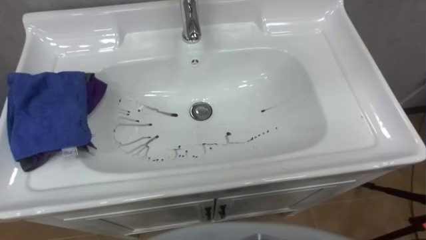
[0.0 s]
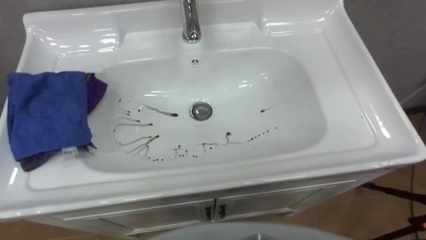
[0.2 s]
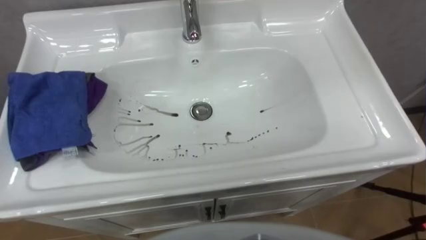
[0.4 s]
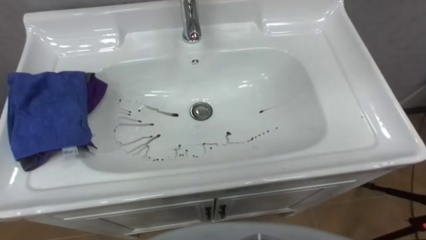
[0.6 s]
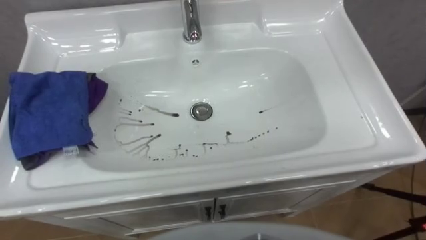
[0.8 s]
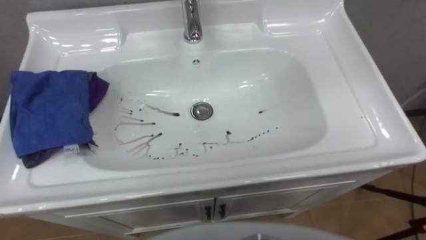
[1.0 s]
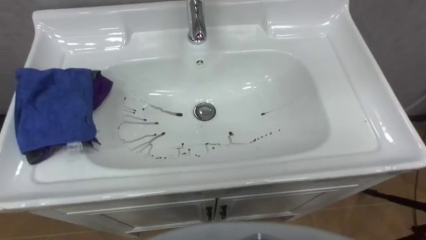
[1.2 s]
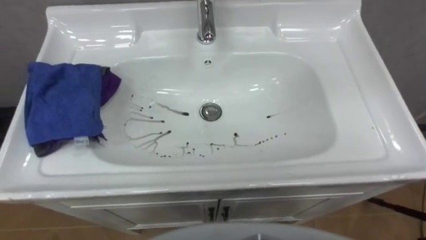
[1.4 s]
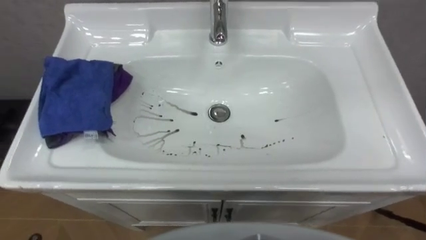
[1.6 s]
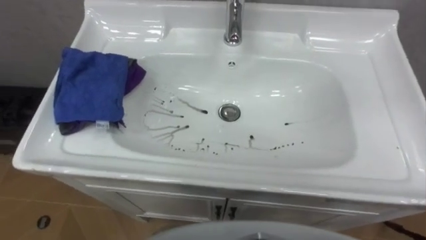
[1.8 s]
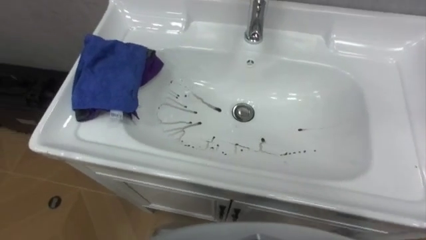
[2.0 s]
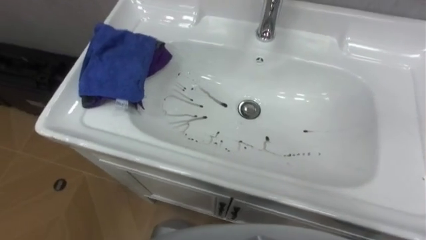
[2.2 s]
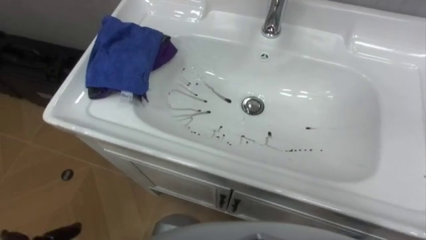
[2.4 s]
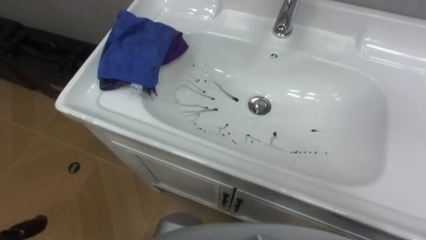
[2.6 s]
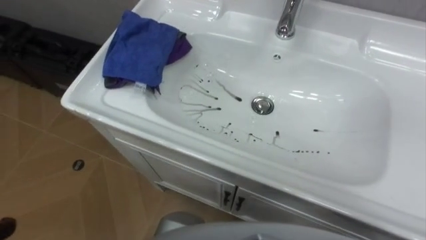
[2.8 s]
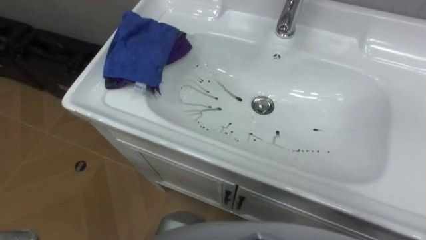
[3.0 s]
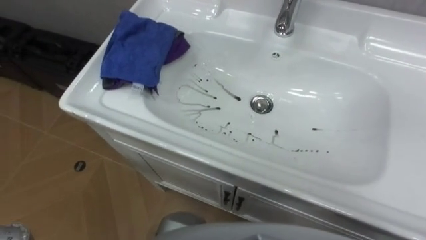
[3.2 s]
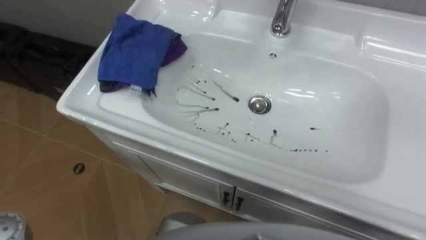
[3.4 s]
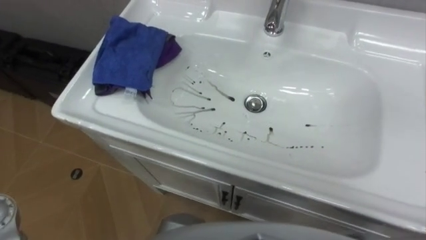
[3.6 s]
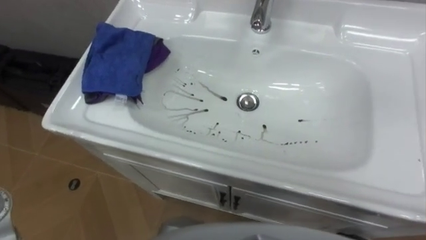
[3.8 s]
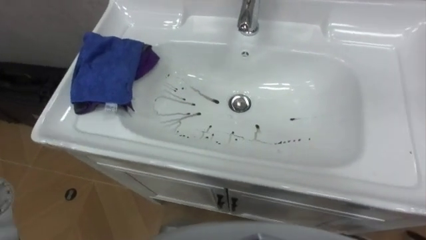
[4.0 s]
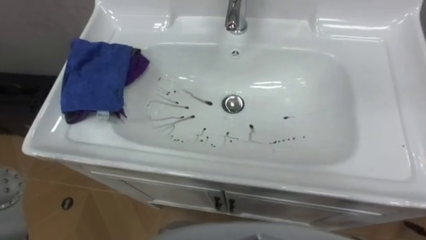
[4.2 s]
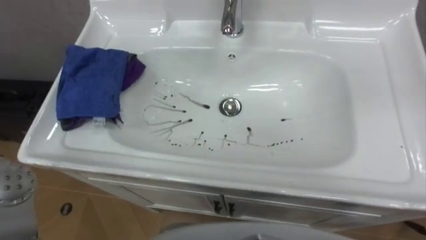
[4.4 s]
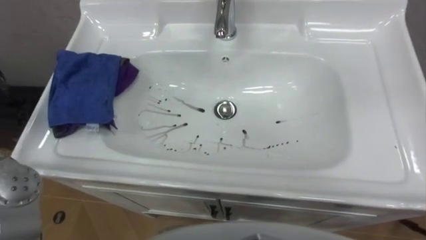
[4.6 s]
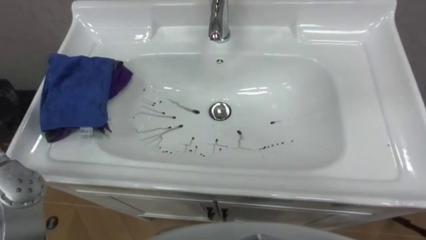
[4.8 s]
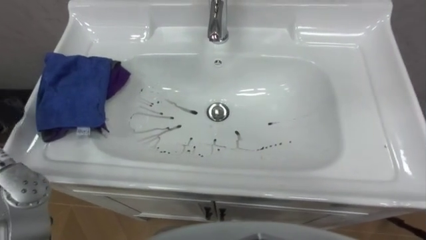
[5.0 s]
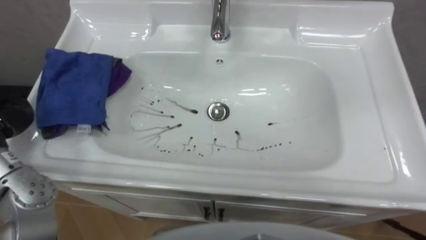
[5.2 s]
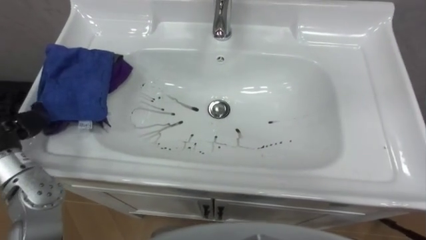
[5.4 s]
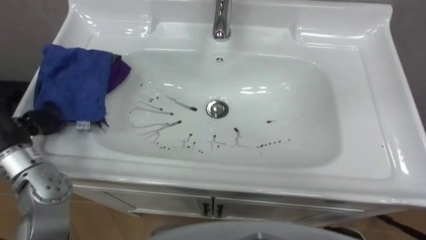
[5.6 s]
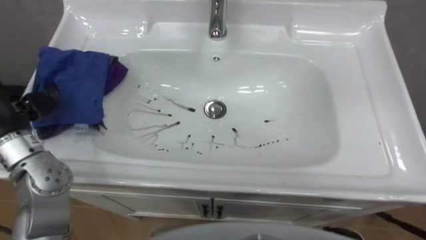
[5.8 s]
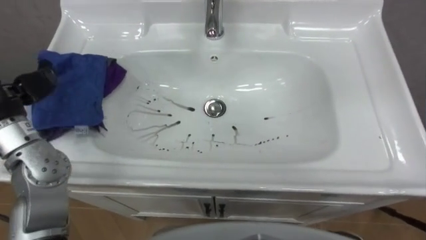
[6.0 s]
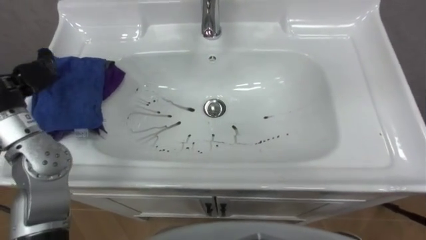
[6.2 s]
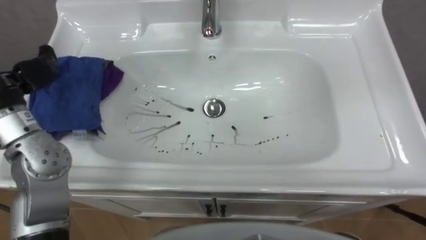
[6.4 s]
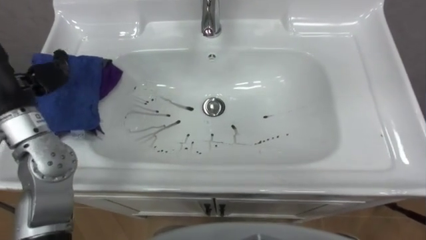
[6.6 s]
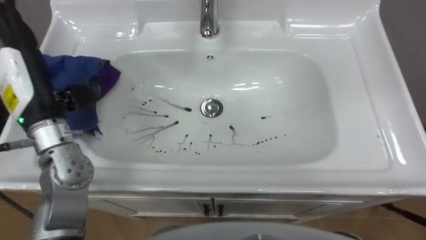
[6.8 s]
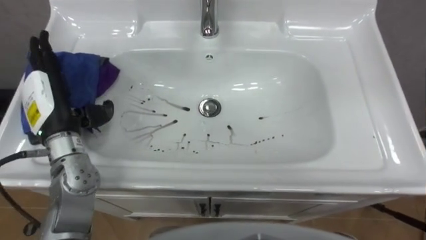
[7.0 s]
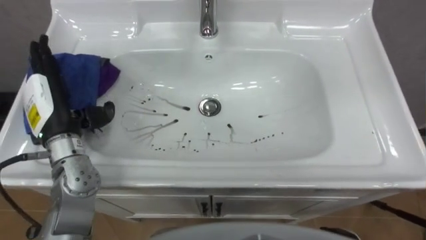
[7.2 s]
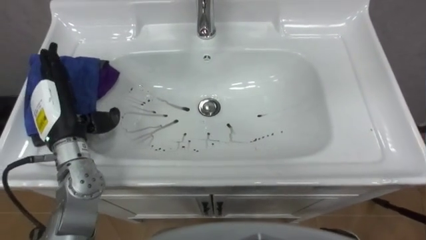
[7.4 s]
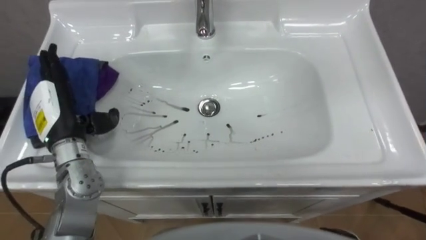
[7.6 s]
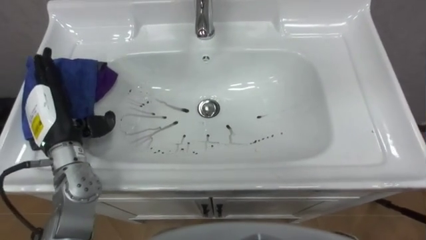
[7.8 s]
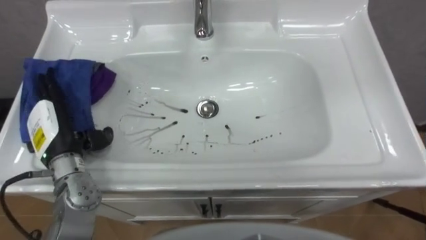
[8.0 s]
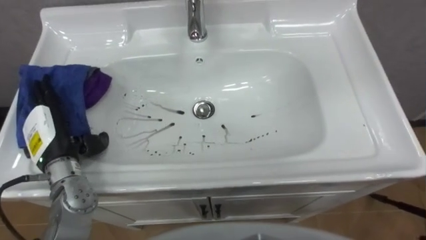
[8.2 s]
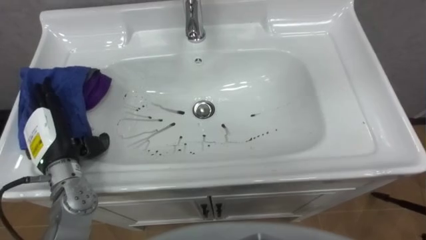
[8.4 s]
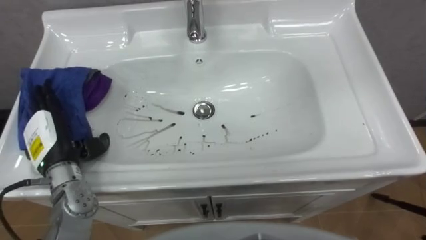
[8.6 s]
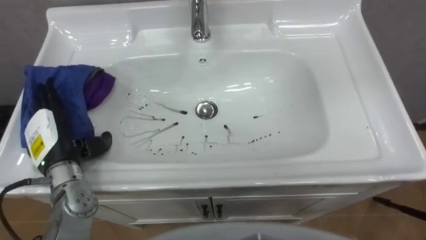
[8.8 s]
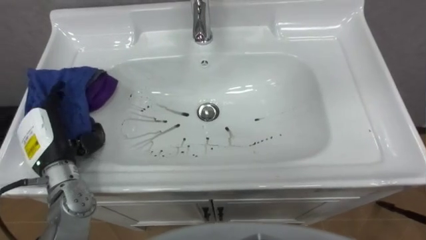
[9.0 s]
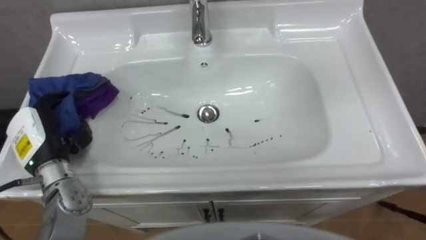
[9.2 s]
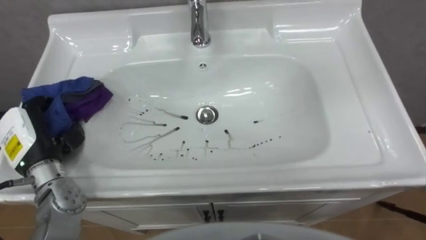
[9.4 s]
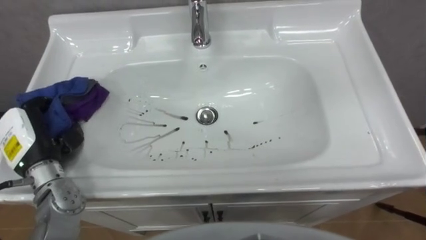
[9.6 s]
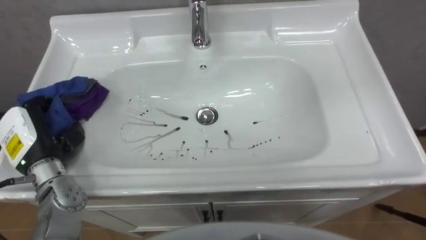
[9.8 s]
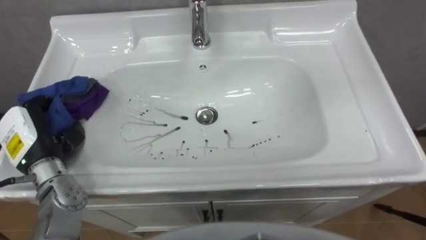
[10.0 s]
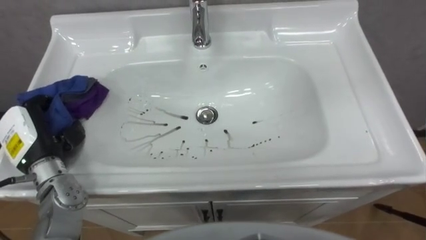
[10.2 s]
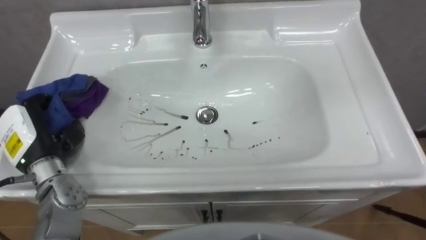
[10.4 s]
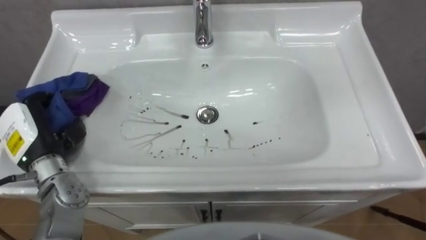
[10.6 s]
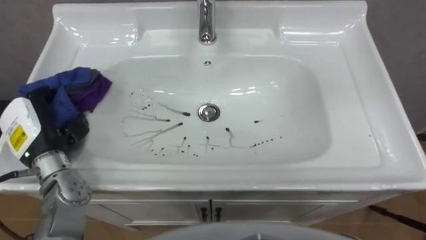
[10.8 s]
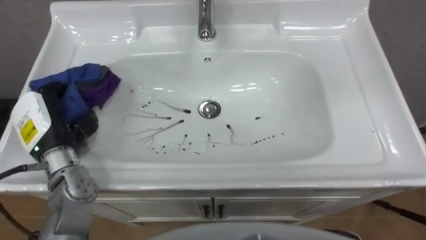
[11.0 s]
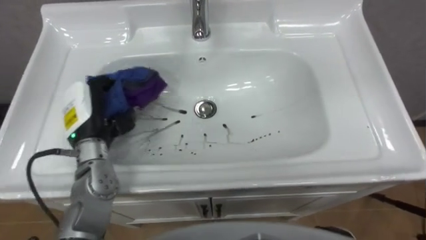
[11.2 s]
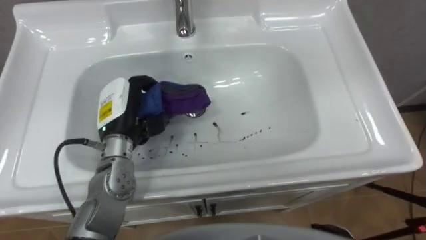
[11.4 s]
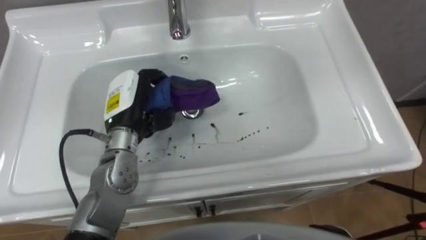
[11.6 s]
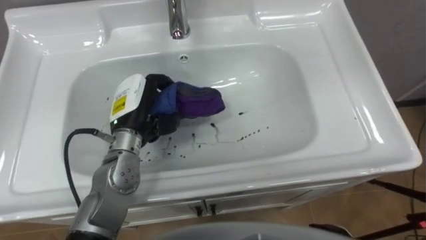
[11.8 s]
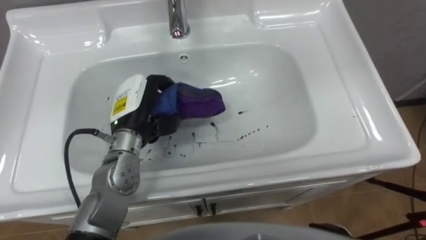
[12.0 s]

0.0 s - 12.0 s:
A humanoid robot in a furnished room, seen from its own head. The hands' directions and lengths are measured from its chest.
Task of the whole recording: Use the cloth on the right to wipe away the black stain in the sink.
7.6 s - 9.0 s: The left hand changes place by roughly 5 cm.
9.0 s - 10.4 s: The left hand closes up.
10.4 s - 12.0 s: The left hand moves to the right, roughly 15 cm.

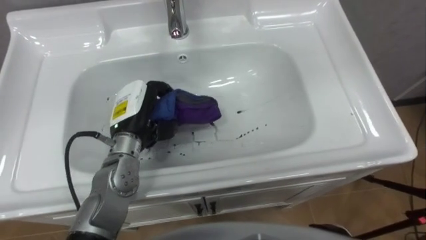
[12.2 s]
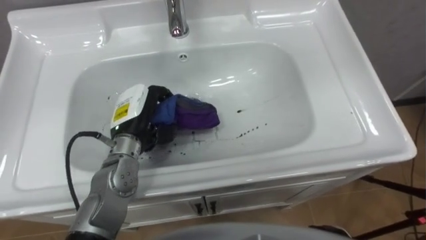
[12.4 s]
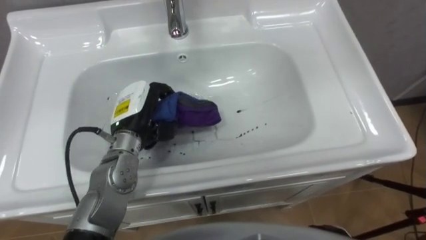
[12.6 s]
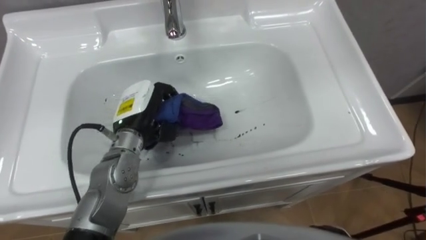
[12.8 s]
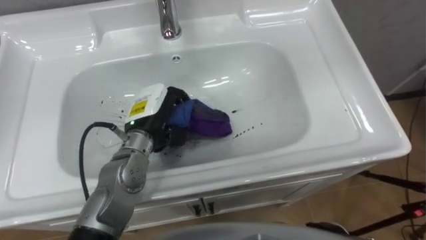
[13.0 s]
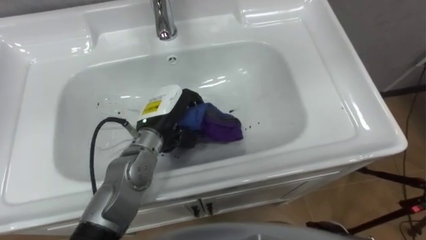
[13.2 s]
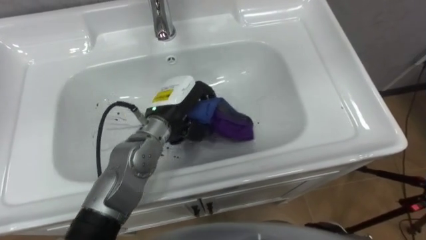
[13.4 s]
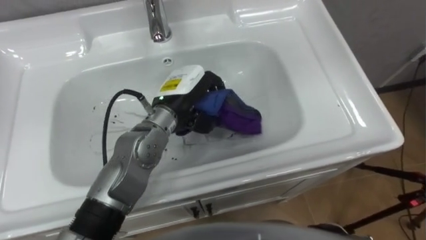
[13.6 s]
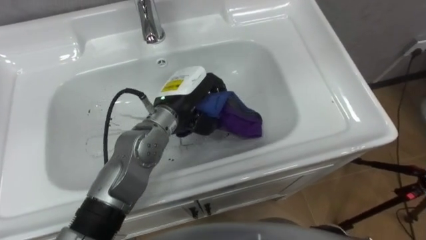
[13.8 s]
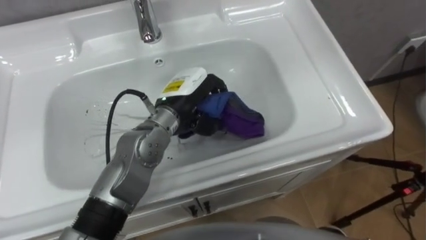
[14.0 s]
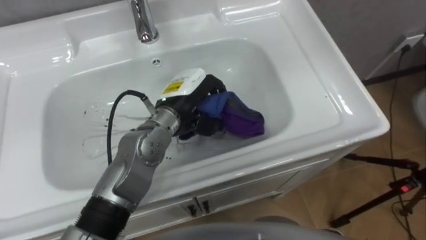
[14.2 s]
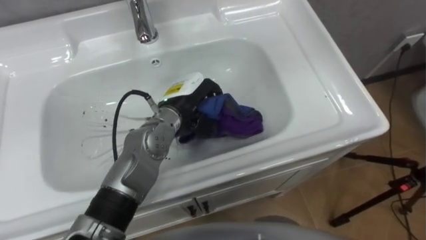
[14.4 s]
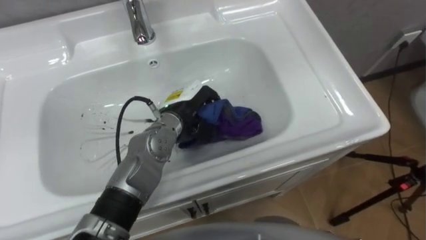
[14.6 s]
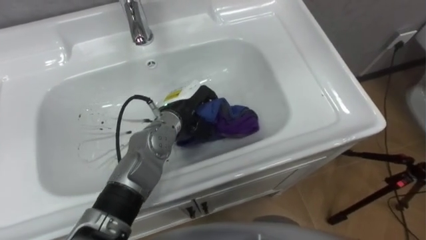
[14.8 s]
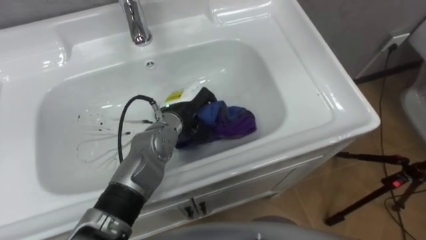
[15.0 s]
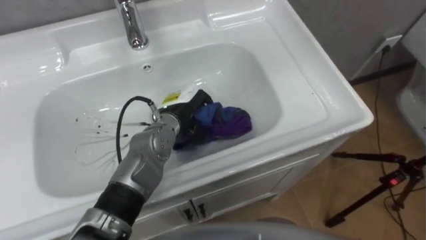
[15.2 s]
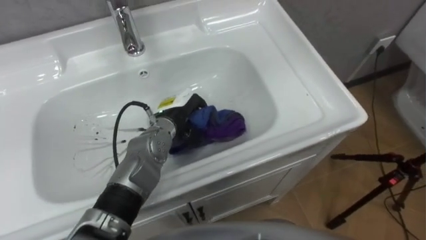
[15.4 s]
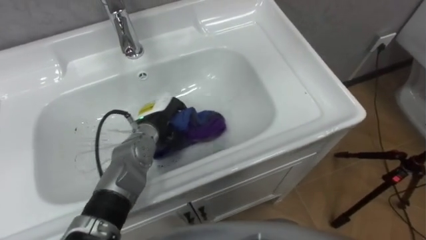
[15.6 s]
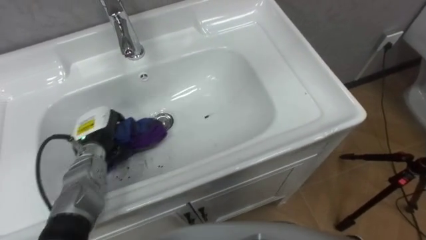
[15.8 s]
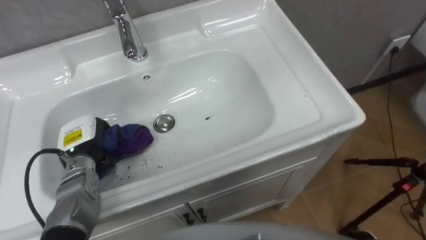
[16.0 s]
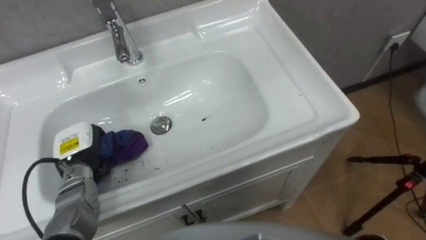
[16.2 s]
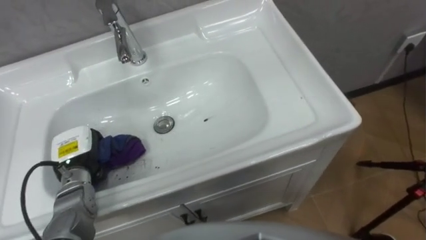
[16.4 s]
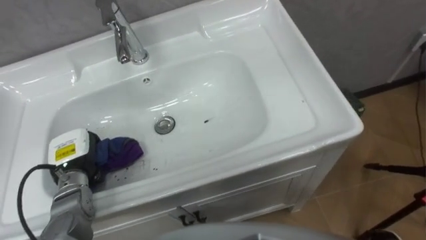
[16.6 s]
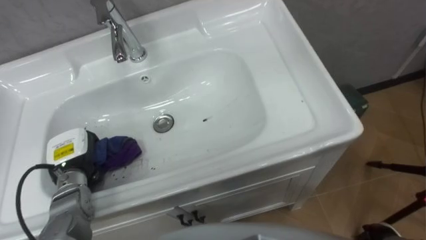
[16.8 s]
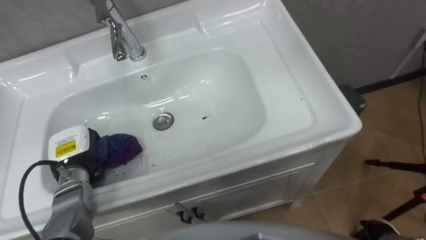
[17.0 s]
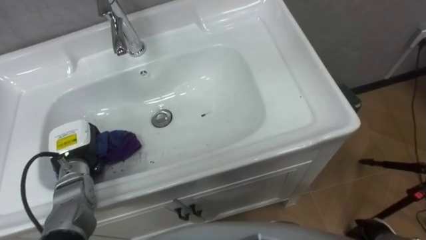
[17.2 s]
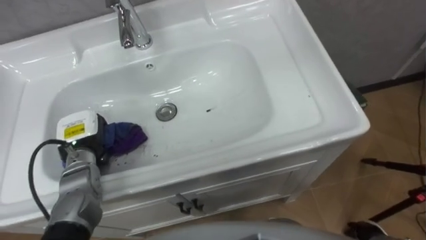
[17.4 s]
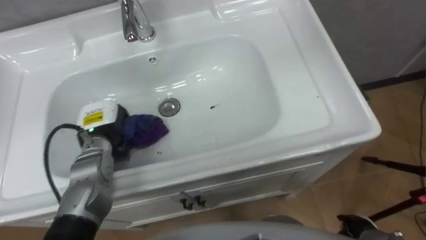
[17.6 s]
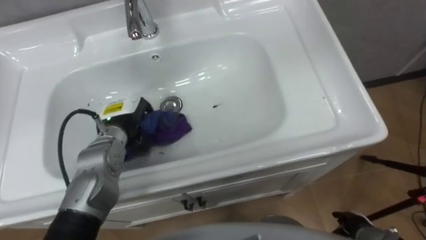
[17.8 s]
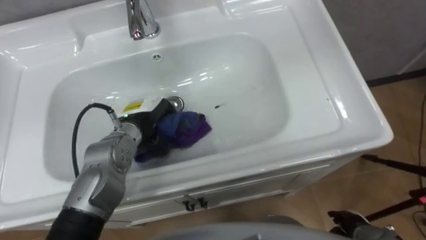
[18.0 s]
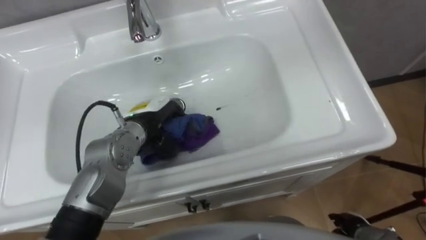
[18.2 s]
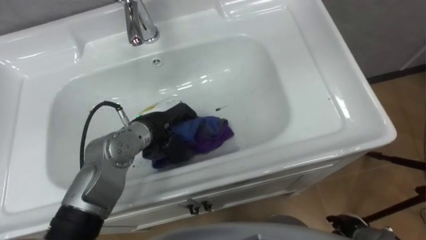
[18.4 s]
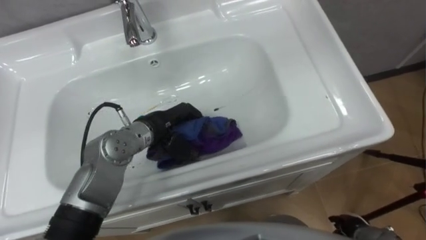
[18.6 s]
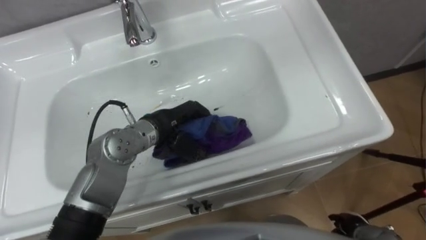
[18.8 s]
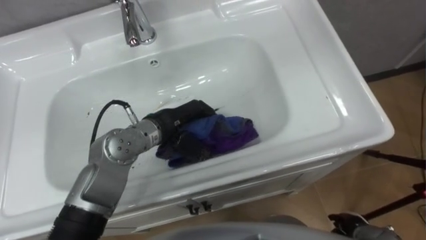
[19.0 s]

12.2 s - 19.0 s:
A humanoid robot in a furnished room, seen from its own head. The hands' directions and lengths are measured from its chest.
Task of the whole recording: Use the cloth on the right to wipe away the black stain in the sink.
12.2 s - 13.6 s: The left hand goes some 10 cm to the right.
13.6 s - 15.0 s: The left hand goes about 5 cm downward.
15.0 s - 16.2 s: The left hand travels to the left and backward by about 25 cm.
16.2 s - 17.6 s: The left hand changes place by some 5 cm.
17.6 s - 19.0 s: The left hand shifts approximately 15 cm to the right.
